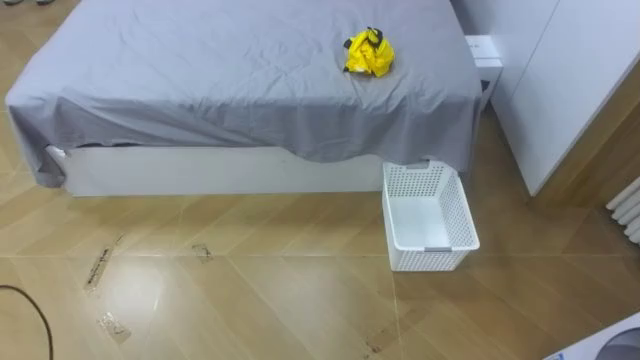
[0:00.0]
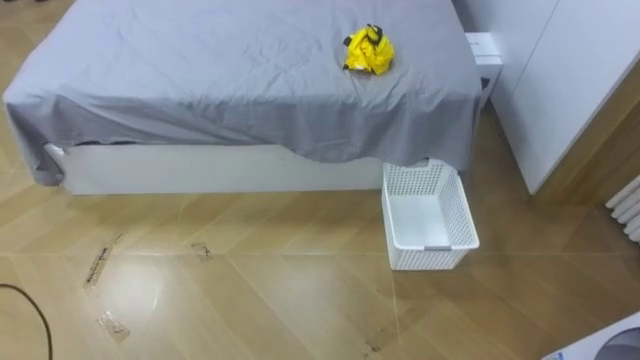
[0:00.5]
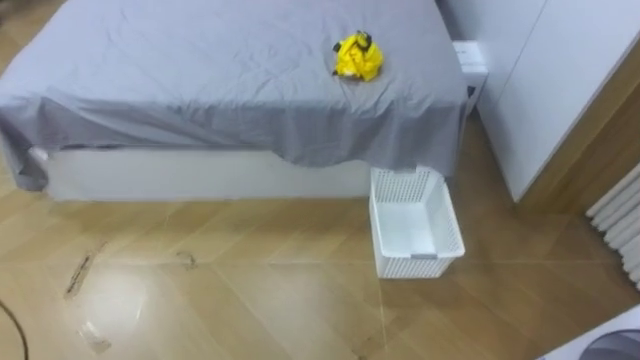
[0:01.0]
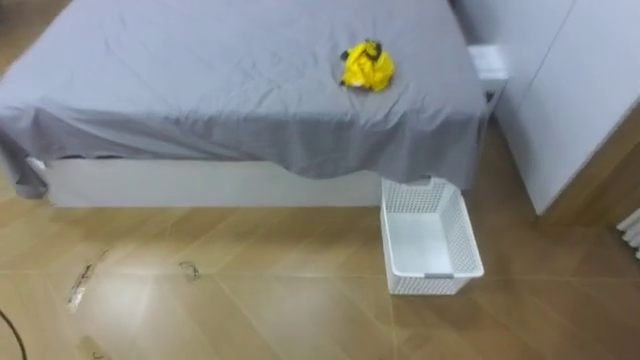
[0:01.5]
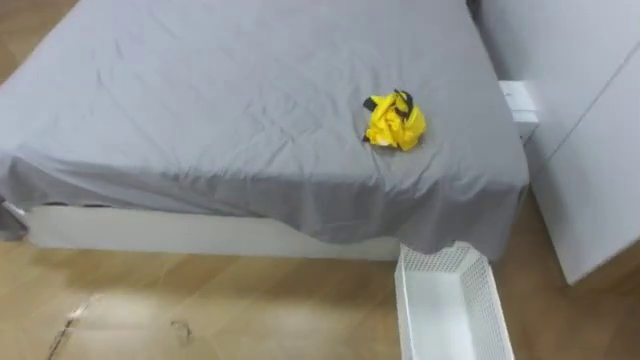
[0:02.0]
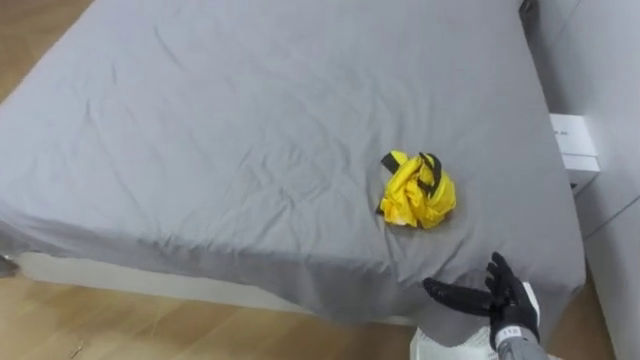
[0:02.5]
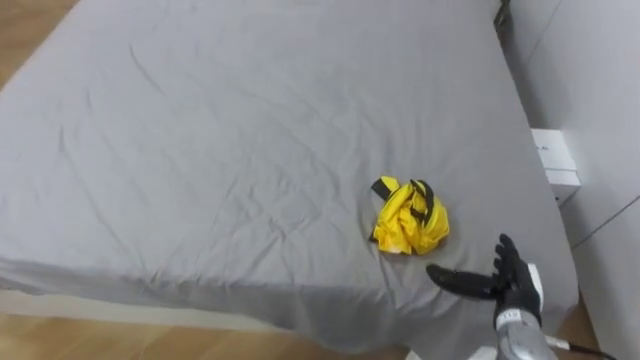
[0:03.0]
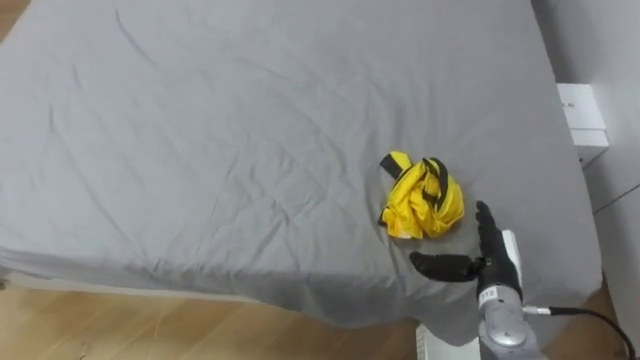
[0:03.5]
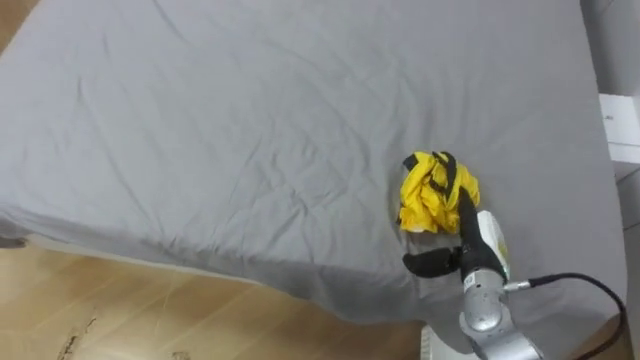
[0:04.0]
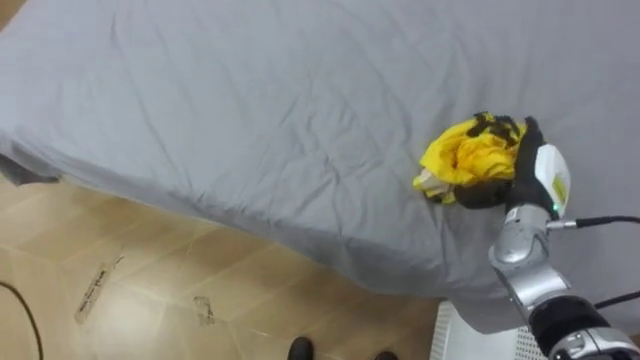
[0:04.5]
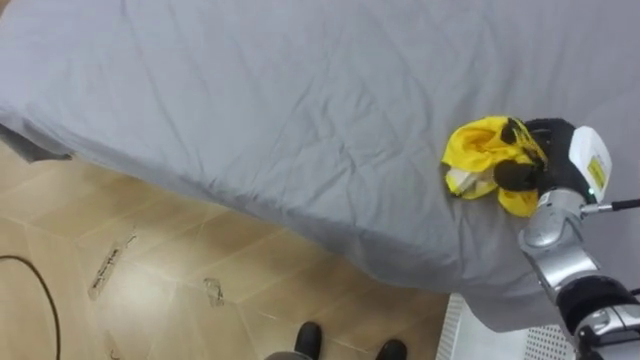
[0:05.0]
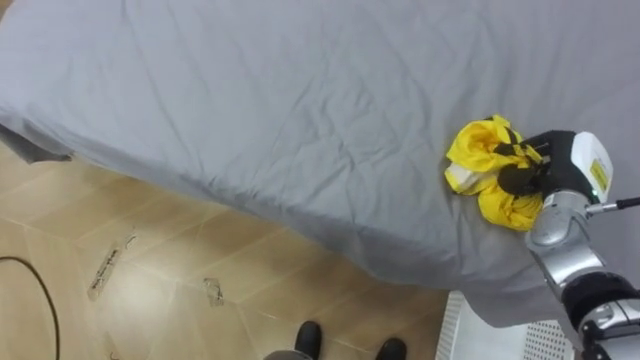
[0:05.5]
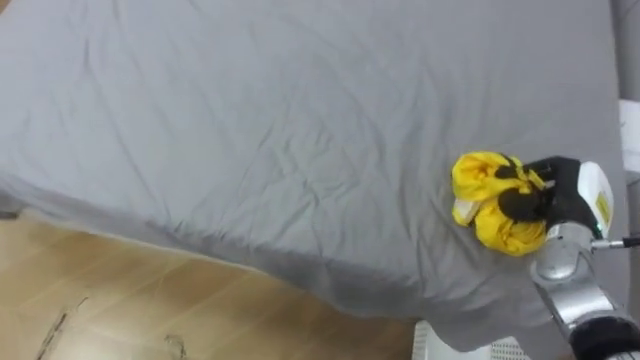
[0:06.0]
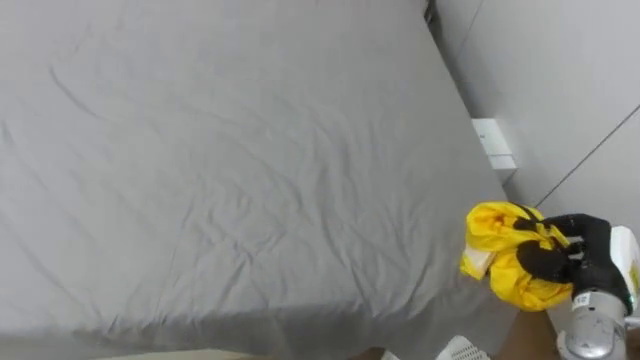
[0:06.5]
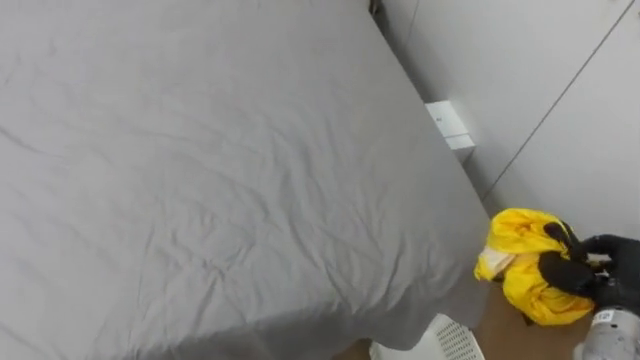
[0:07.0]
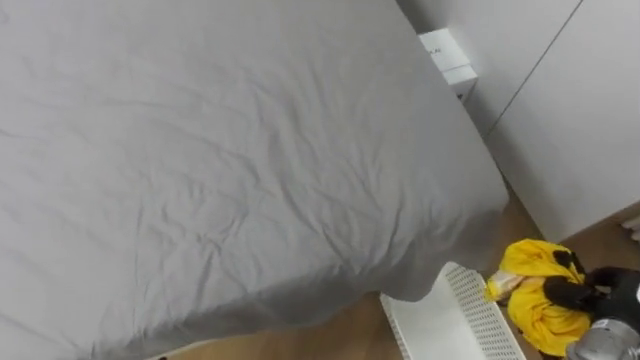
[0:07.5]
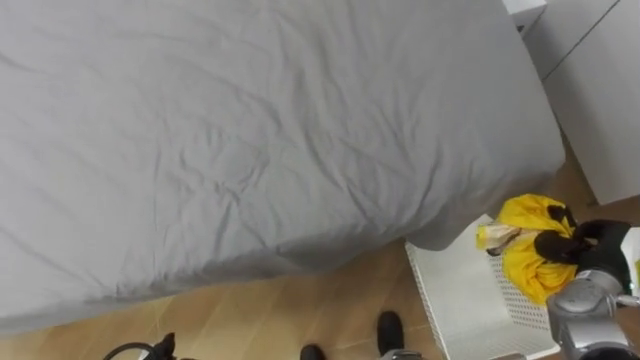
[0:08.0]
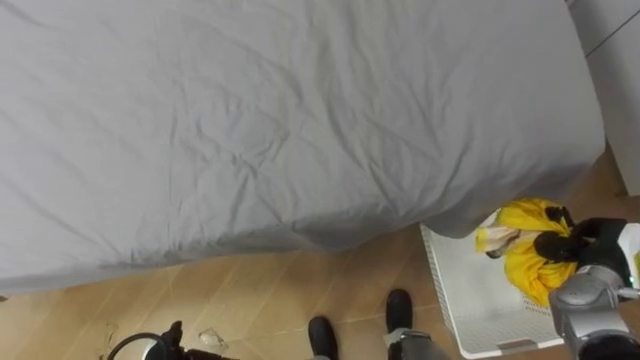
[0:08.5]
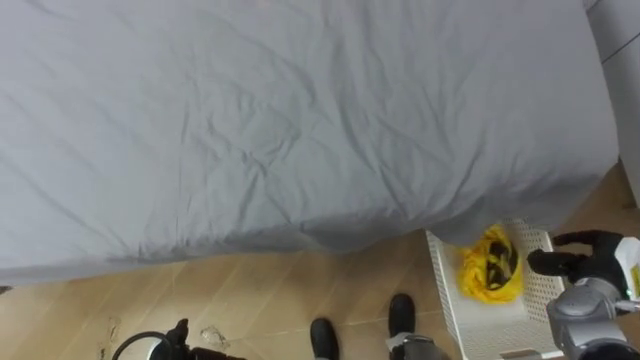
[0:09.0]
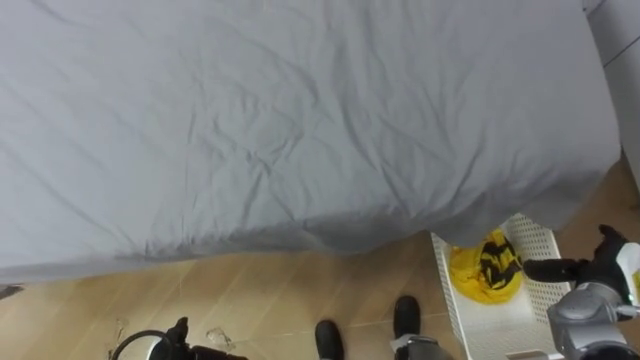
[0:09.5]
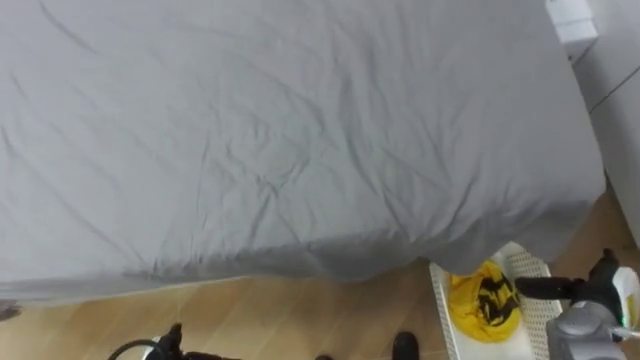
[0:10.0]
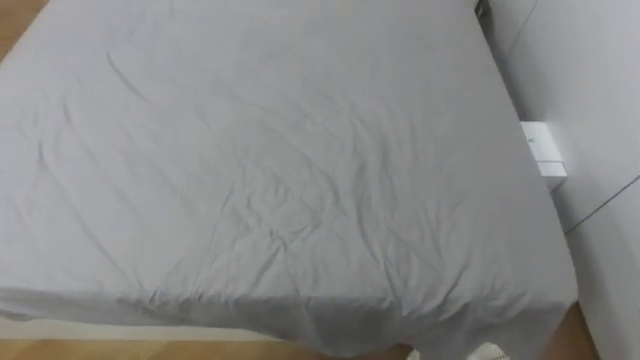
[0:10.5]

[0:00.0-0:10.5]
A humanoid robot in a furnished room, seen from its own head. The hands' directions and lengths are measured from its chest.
Task of the whole recording: Pick up the yellow clothes on the bed and place them into the white basket on the right.
0:04.0 to 0:06.5: The right hand heads to the right, covering some 15 cm, and closes.

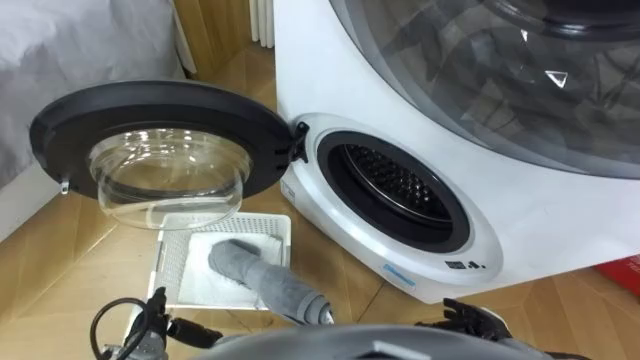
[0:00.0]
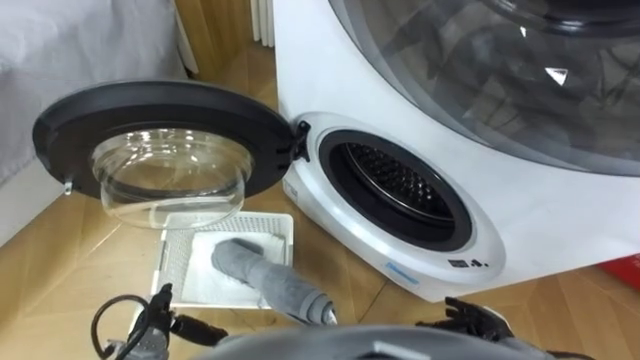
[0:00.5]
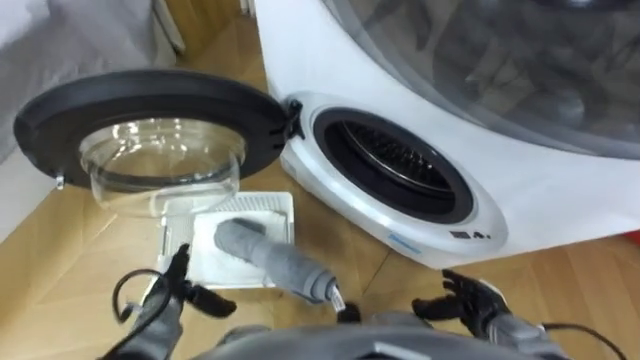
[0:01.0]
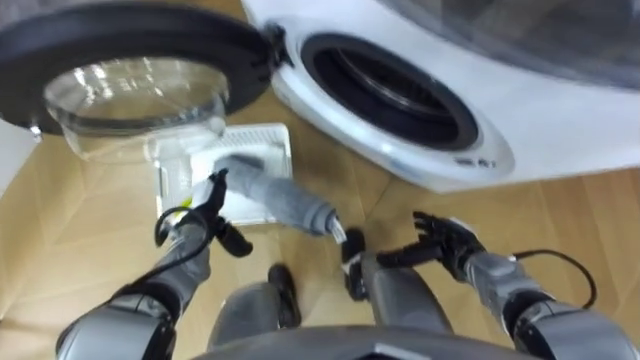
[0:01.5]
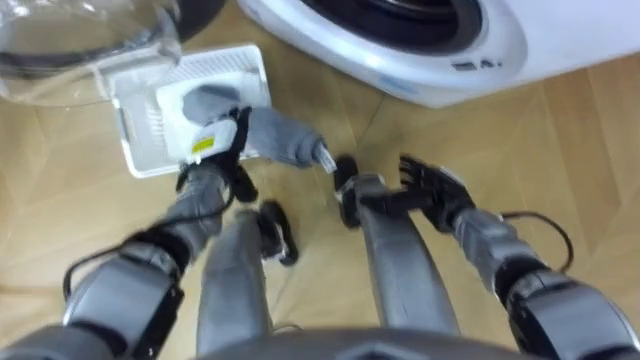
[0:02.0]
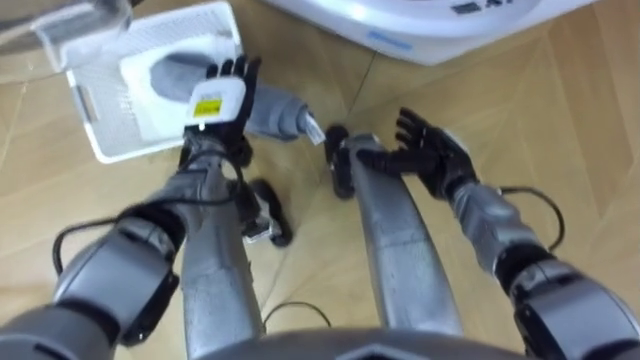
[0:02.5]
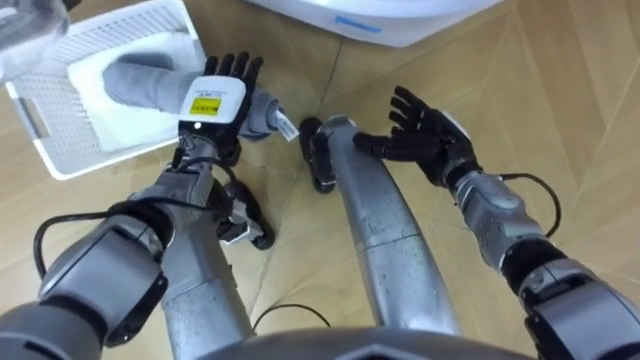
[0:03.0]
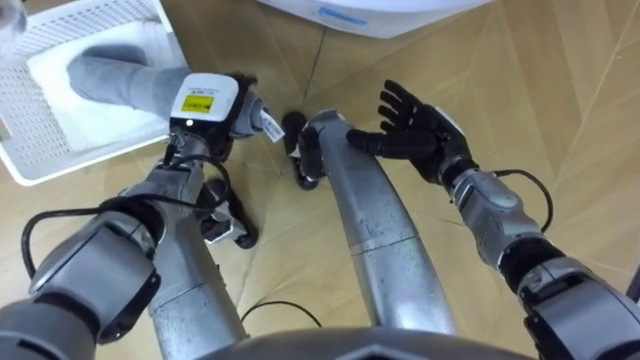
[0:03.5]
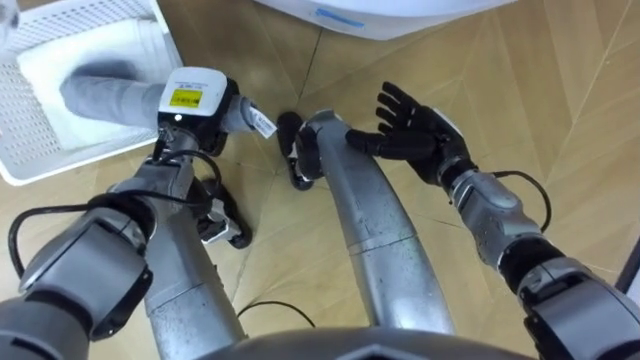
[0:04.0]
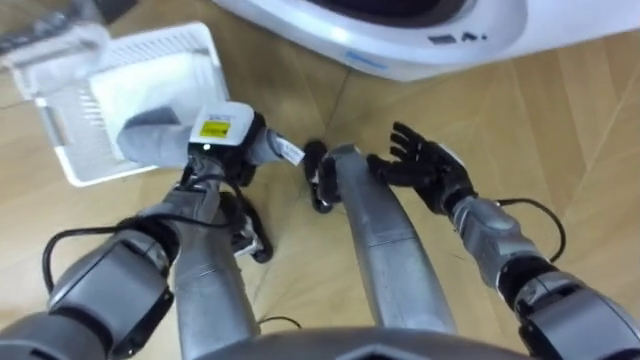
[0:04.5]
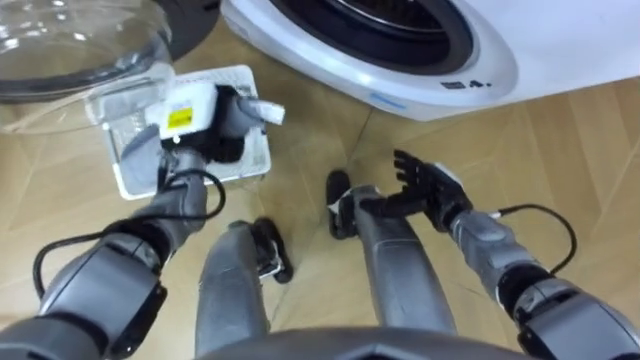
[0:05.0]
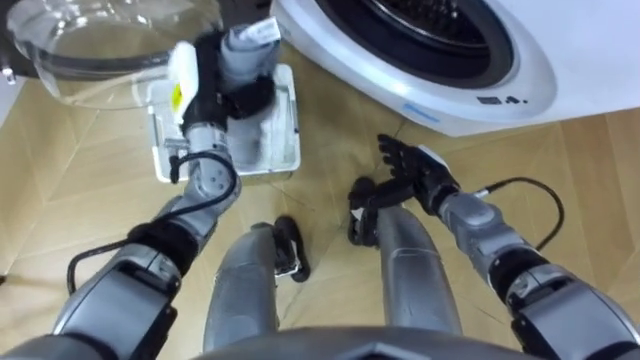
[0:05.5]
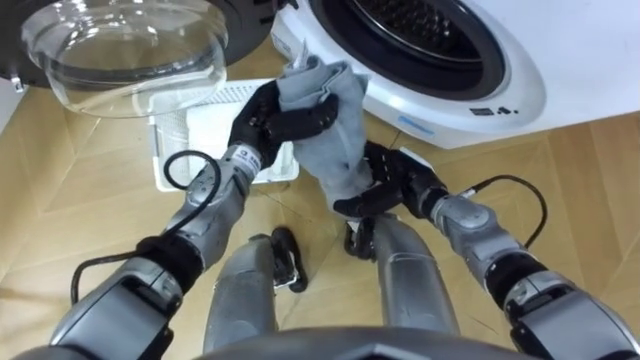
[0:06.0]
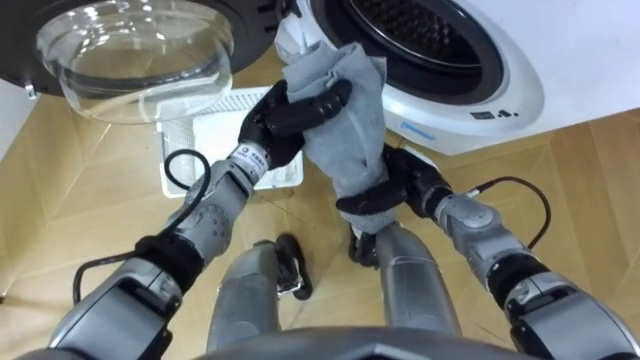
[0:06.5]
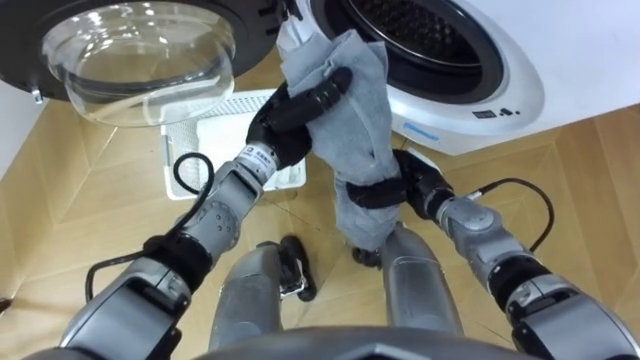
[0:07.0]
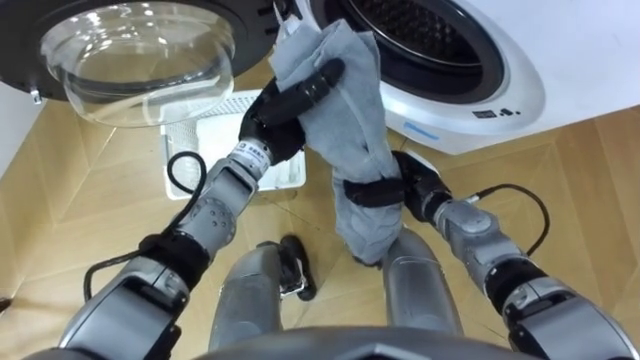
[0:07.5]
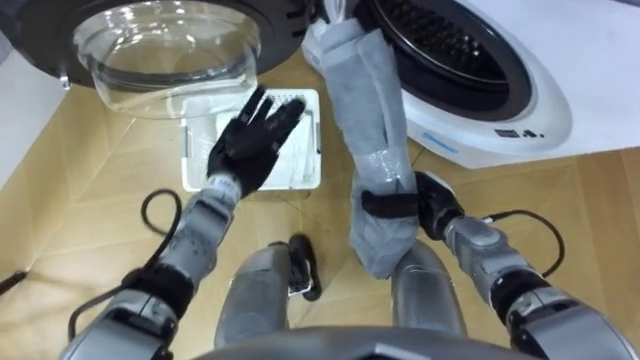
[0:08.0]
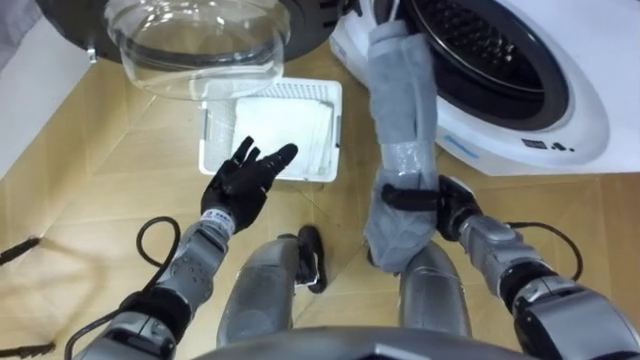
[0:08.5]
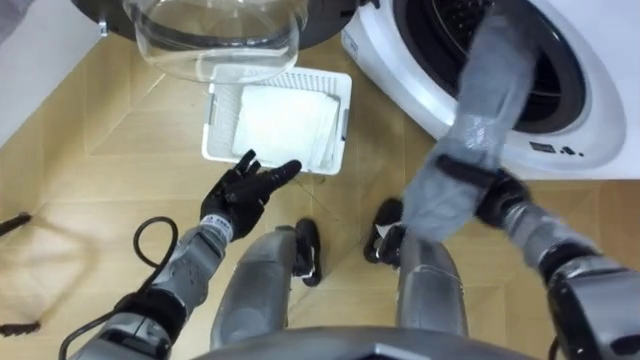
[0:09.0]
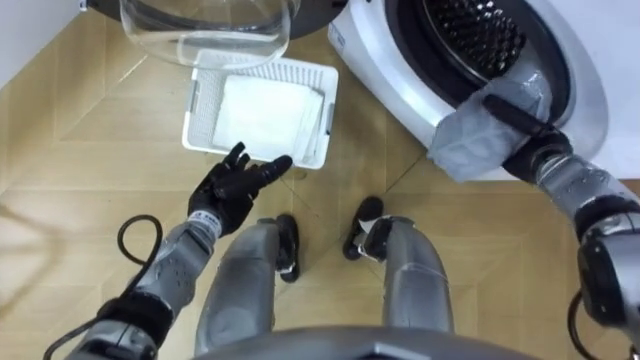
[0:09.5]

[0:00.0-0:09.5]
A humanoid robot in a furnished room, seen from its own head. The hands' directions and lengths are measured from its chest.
Task of the whole recording: Take the towel from the basket and put it into the washing machine.
0:02.0 to 0:04.0: The right hand is displaced upward and forward by approximately 10 cm. Meanwhile the left hand is displaced upward by some 5 cm, and closes.
0:05.5 to 0:07.5: The right hand closes up. The left hand moves to the right, about 10 cm.
0:07.5 to 0:09.5: The right hand travels to the right by some 15 cm, while the left hand shifts about 15 cm downward, to the left and backward, and opens up.
